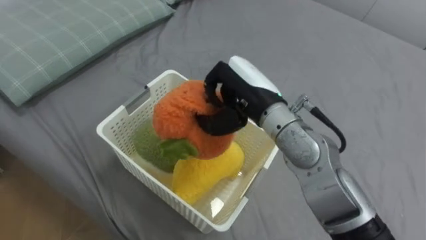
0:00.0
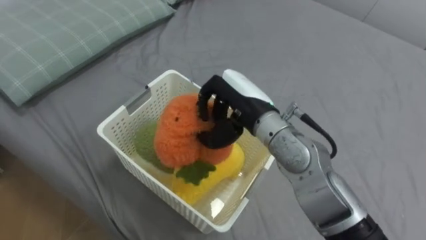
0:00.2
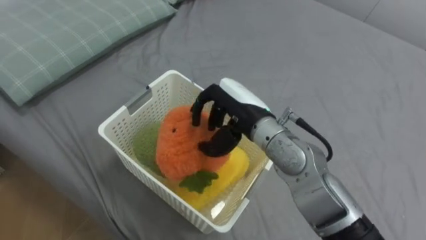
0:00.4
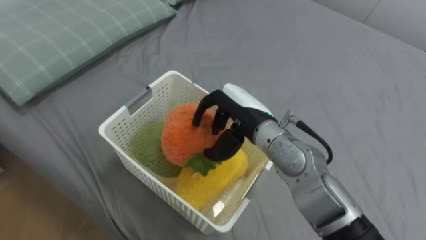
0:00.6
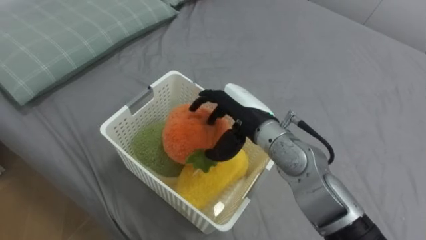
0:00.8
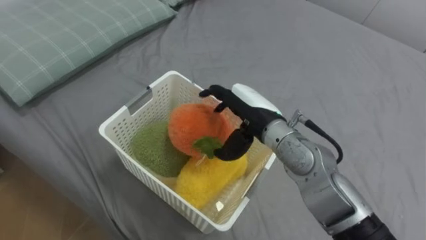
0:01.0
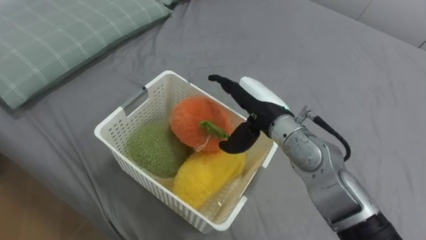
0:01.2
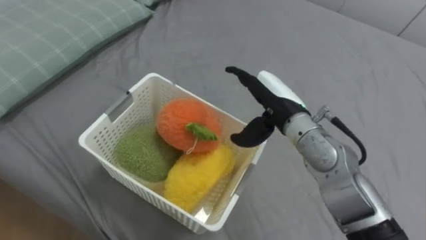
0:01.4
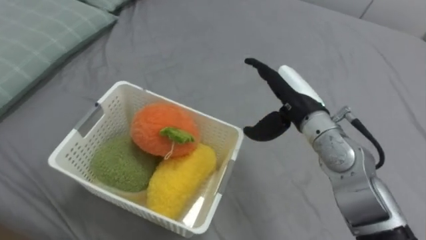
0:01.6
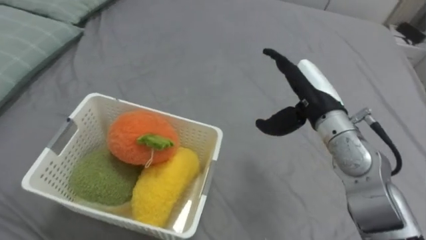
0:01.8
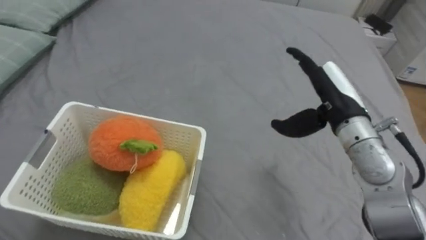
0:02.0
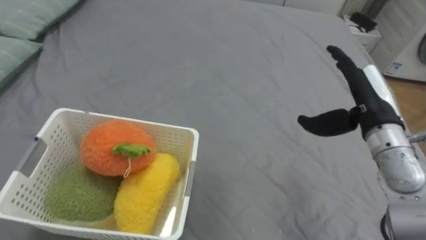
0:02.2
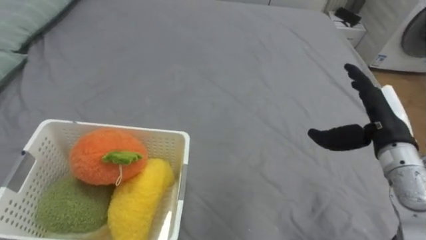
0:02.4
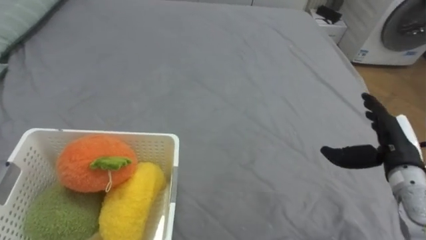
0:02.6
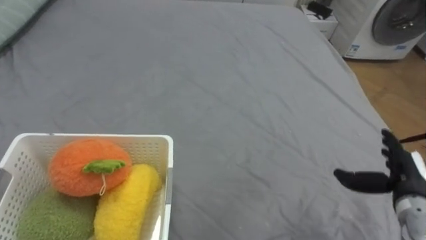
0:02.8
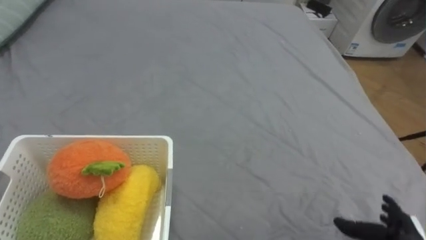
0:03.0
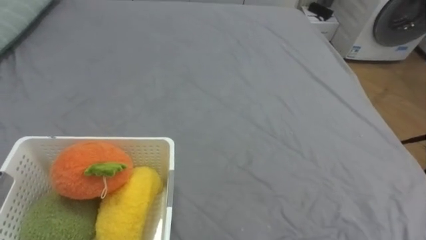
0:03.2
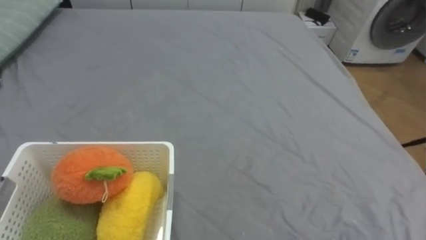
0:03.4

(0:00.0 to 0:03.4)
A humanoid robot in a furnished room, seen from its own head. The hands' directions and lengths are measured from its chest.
Task of the whole recording: Put the toys on the bed into the basket on the left.
0:00.0 - 0:01.6: The right hand shifts some 10 cm to the right, and opens up.

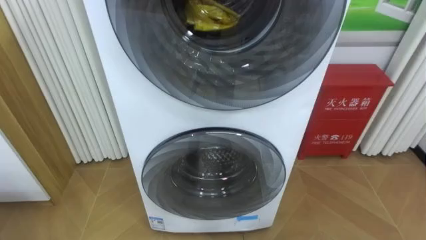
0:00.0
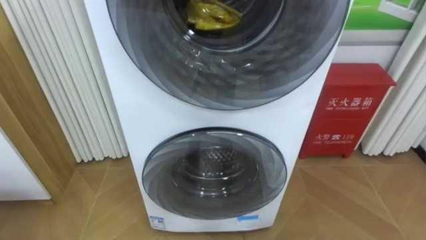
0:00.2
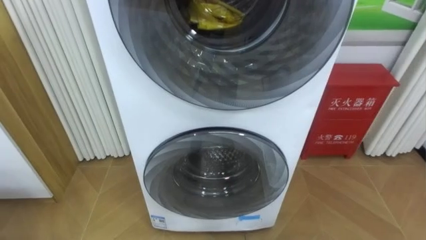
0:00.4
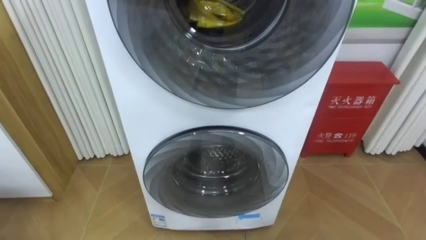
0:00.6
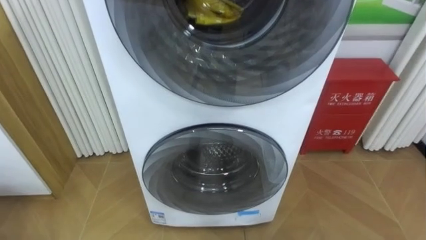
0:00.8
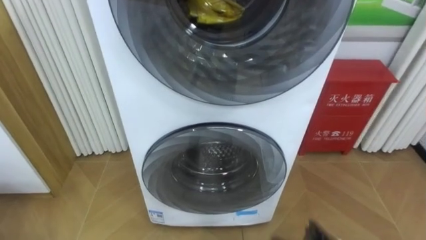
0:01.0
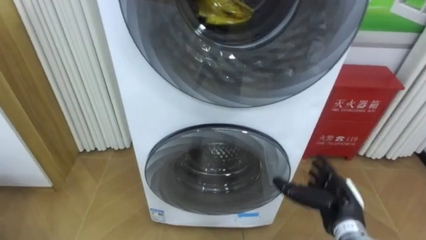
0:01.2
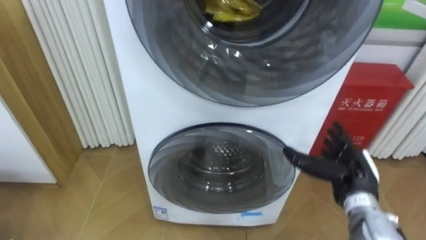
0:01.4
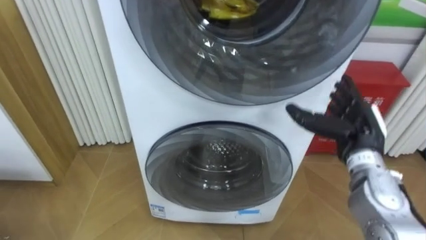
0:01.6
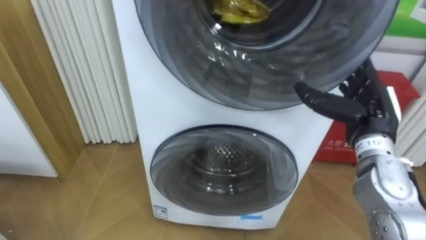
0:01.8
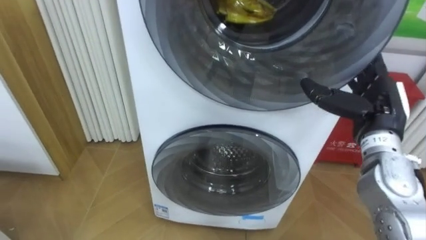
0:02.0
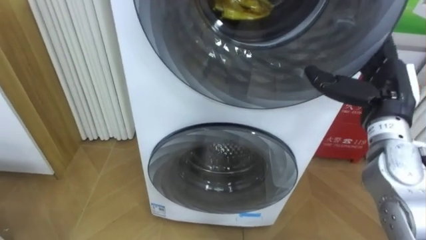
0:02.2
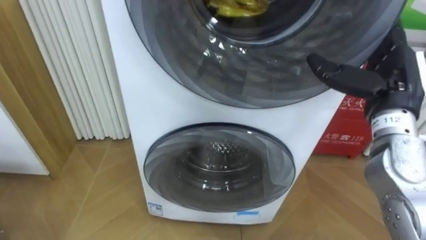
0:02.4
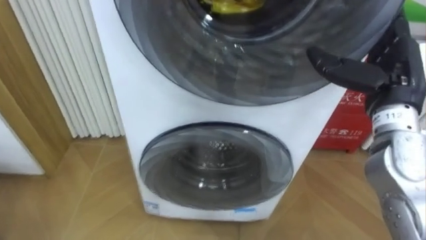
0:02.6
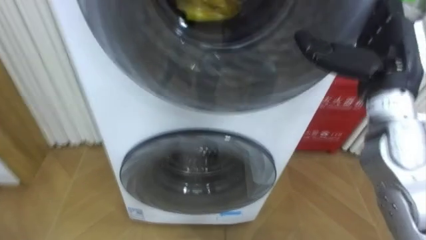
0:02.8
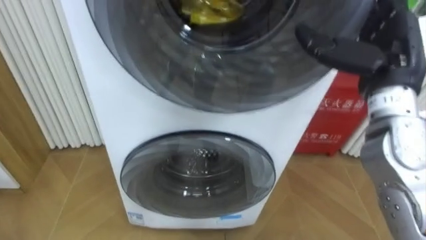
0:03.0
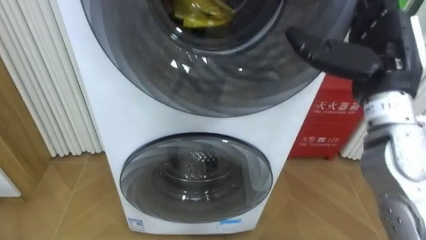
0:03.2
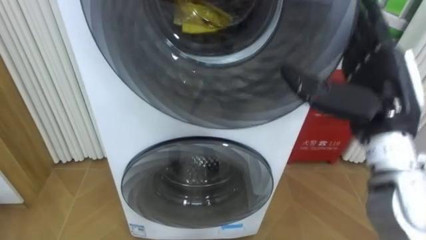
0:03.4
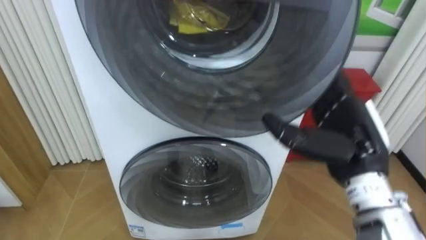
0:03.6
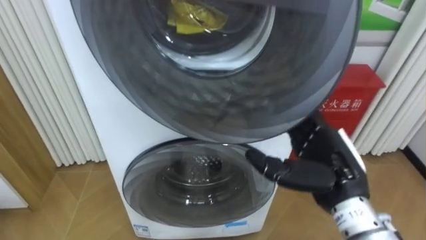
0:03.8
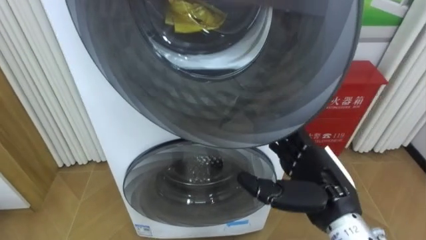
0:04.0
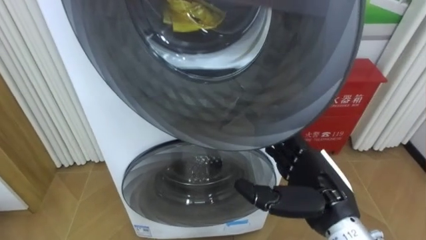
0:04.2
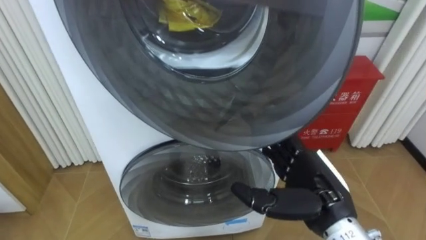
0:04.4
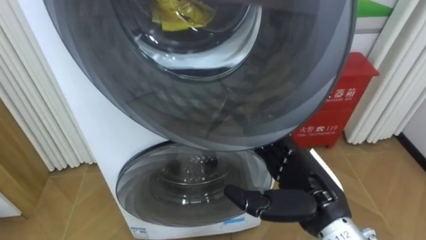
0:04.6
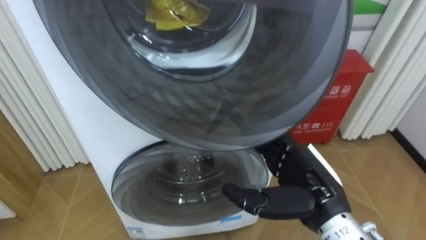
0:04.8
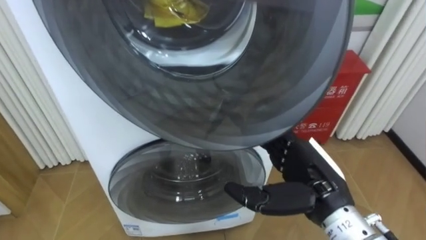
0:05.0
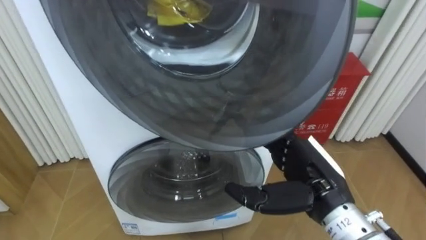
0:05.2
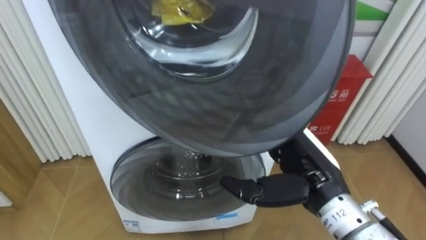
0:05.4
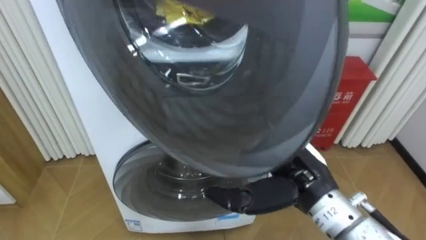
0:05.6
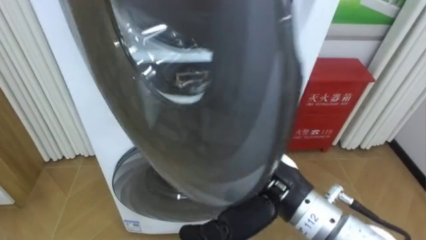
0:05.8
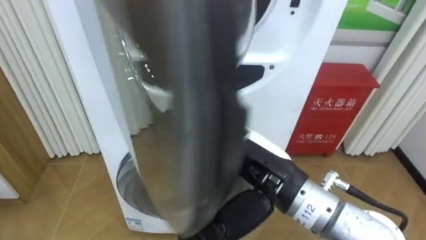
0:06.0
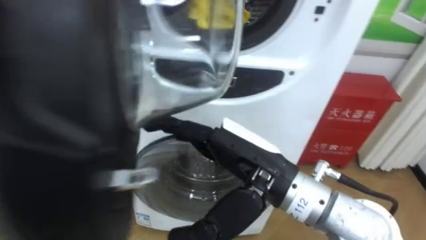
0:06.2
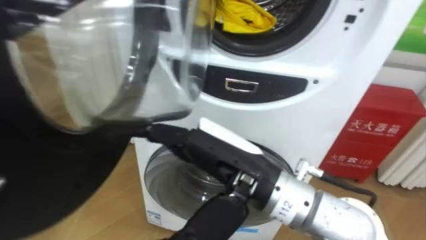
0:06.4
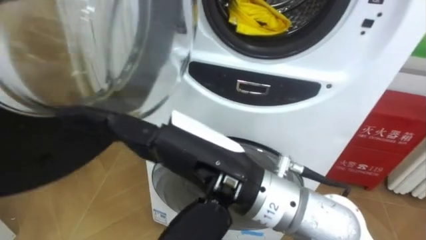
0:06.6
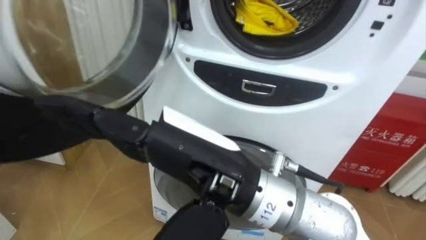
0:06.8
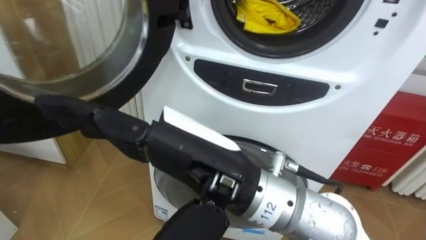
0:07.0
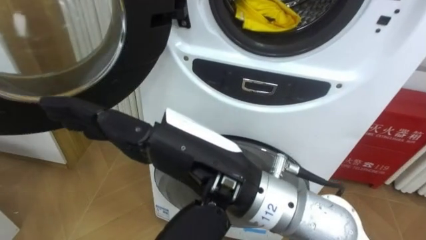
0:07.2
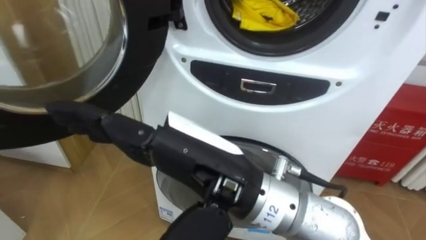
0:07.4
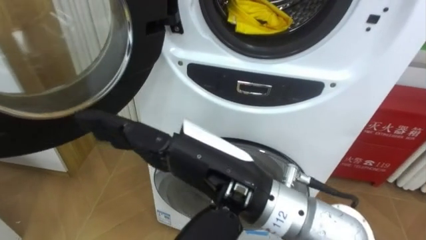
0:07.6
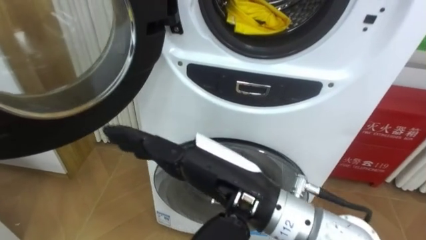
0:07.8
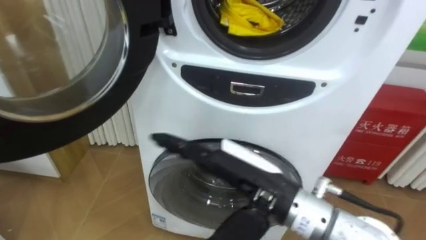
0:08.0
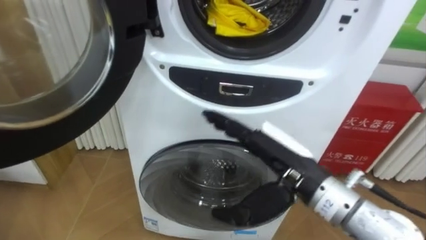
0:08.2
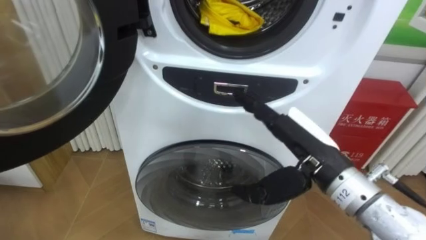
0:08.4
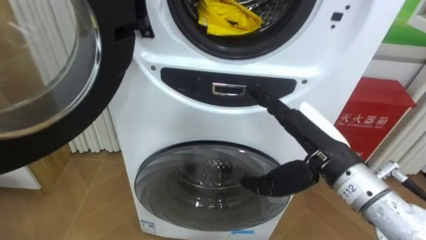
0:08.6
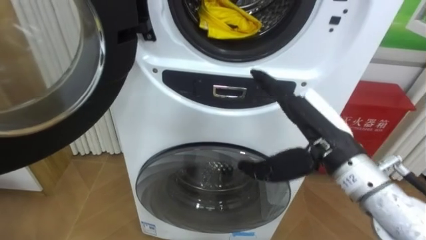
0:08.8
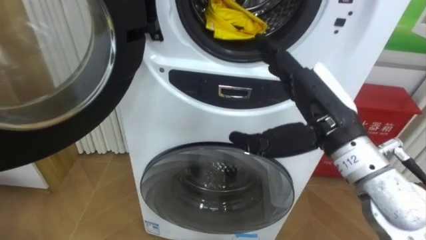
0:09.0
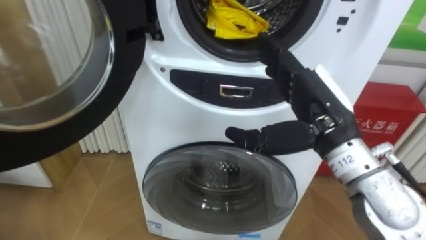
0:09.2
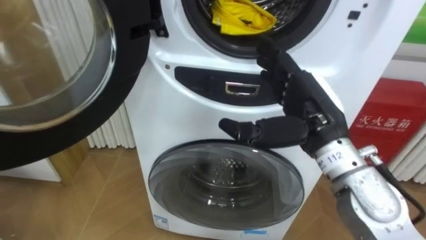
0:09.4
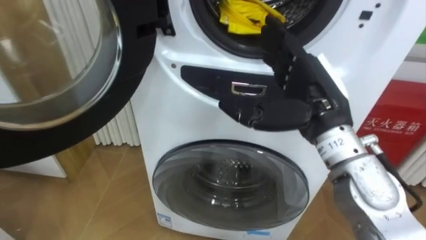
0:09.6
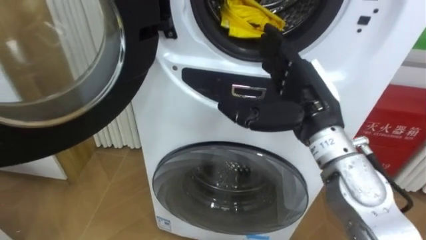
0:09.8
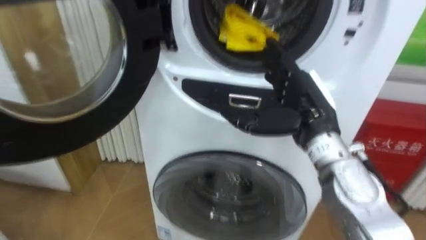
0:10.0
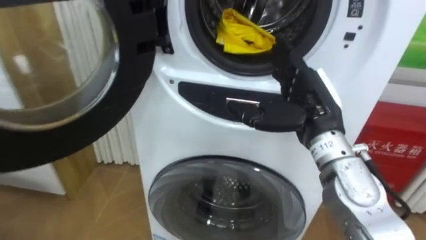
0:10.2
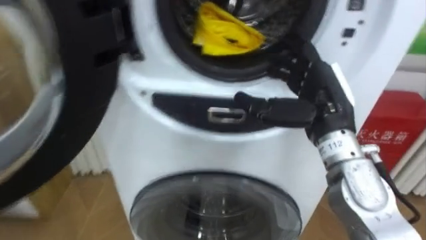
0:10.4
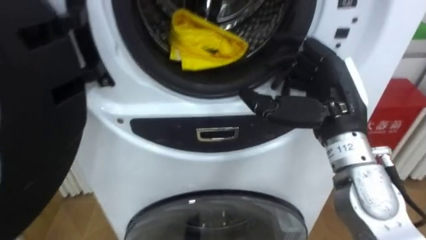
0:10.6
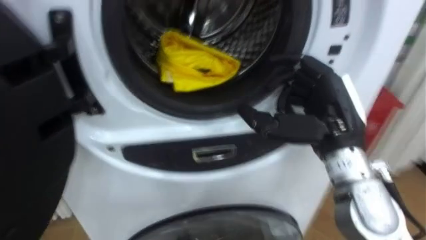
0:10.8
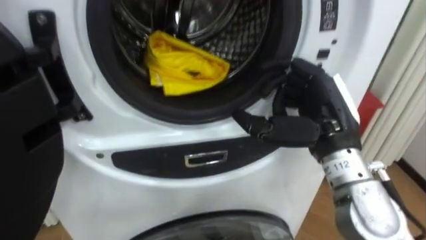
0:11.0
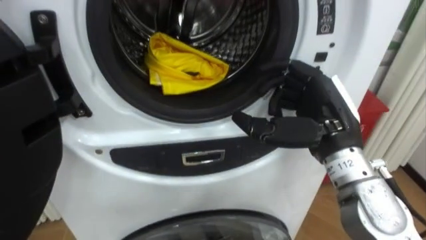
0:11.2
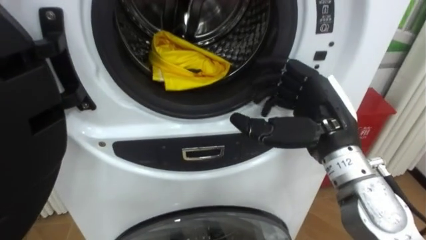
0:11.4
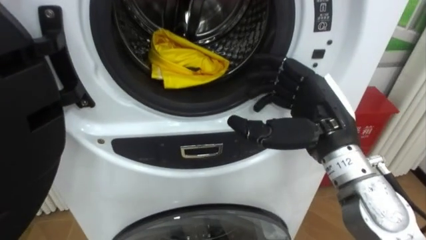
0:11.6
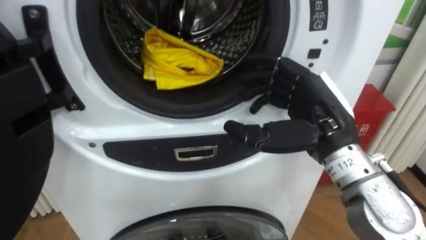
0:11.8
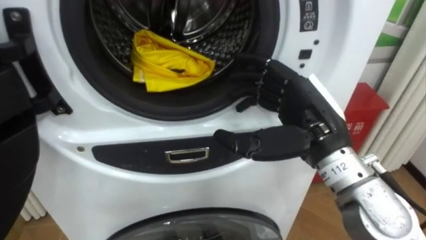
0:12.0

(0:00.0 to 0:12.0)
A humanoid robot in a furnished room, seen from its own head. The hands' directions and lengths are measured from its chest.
Task of the whole recording: Open the washing machine door, take out the yellow clothes, place them in the box on the right, and close the washing machine door.
0:01.6 - 0:03.0: The right hand is displaced upward by about 15 cm.
0:03.0 - 0:04.4: The right hand moves downward, backward and to the left, approximately 20 cm.
0:04.4 - 0:06.0: The right hand moves to the left and upward, about 10 cm.
0:06.0 - 0:07.6: The right hand goes roughly 5 cm to the left.
0:07.6 - 0:09.0: The right hand heads to the right and forward, covering roughly 15 cm.

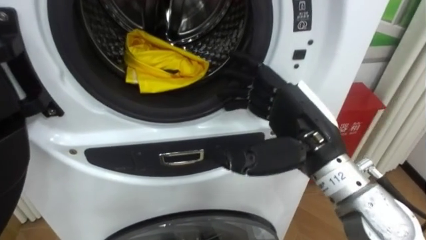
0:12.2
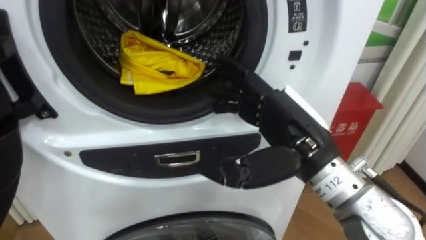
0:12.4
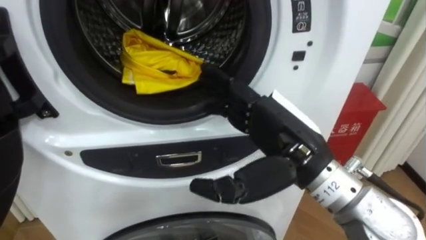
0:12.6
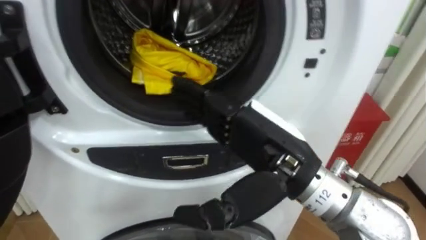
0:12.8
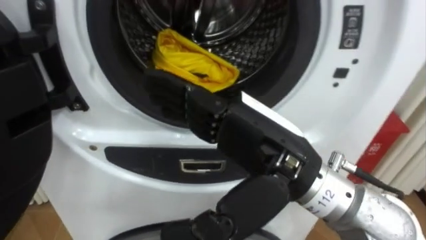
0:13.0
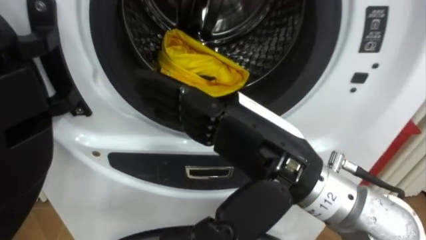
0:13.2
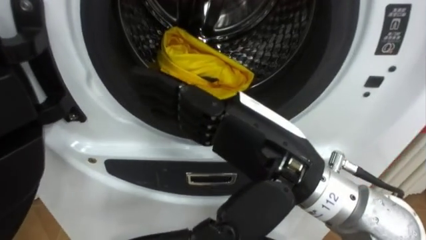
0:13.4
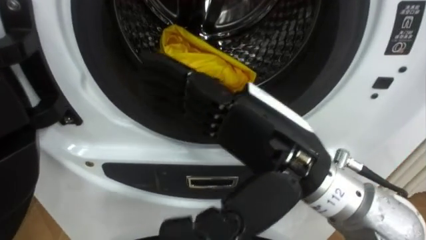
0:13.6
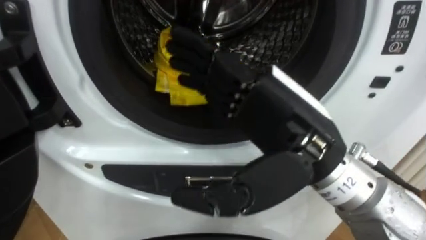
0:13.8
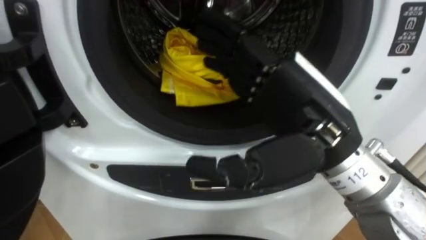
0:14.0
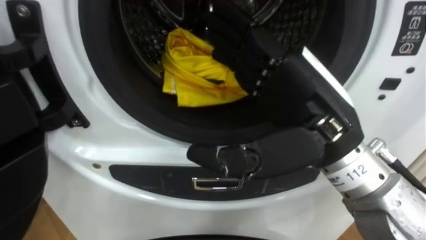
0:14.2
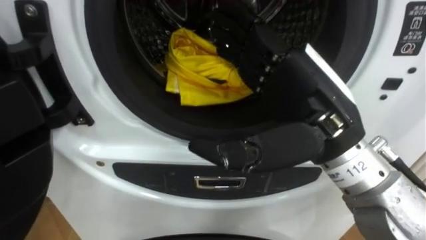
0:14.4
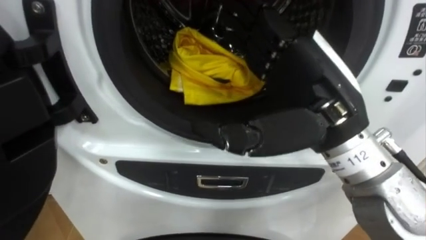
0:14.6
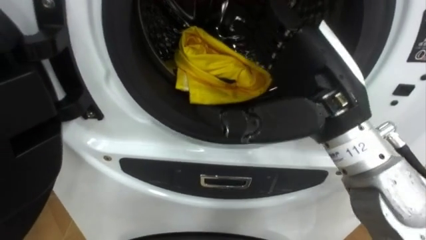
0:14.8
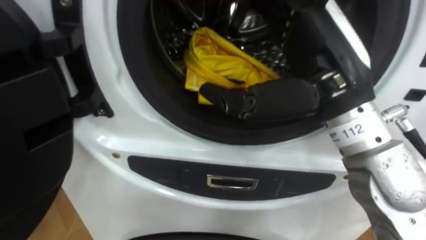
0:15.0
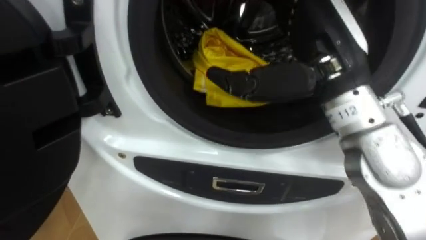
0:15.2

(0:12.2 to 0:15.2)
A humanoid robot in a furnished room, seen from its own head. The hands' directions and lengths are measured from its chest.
Task of the whole recording: Open the washing machine door, take out the yellow clothes, place them in the box on the right, and close the washing machine door.
0:12.2 - 0:13.8: The right hand moves upward and backward, approximately 10 cm.
0:13.8 - 0:15.2: The right hand goes some 5 cm forward.
